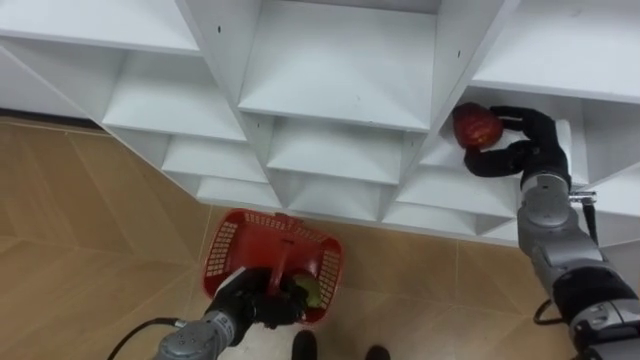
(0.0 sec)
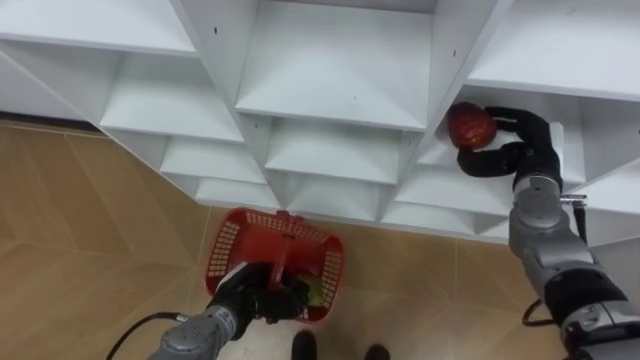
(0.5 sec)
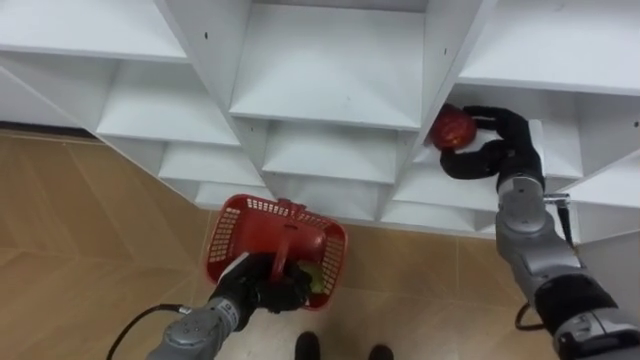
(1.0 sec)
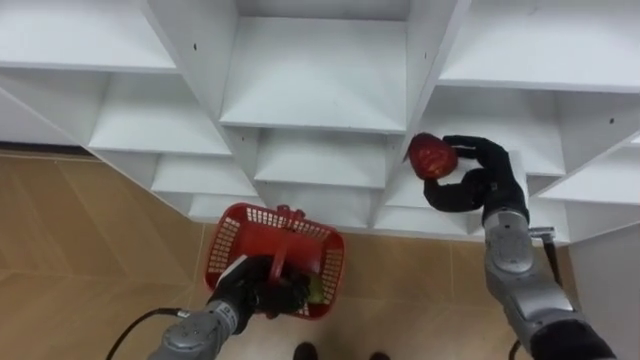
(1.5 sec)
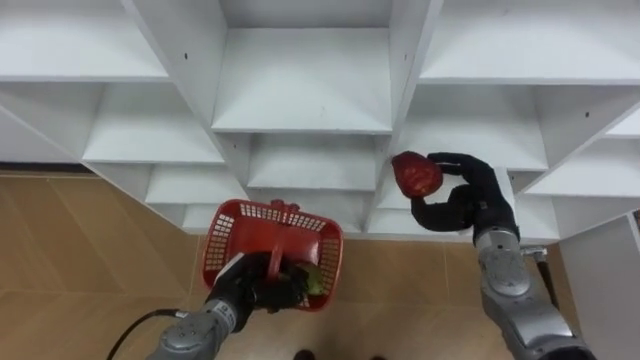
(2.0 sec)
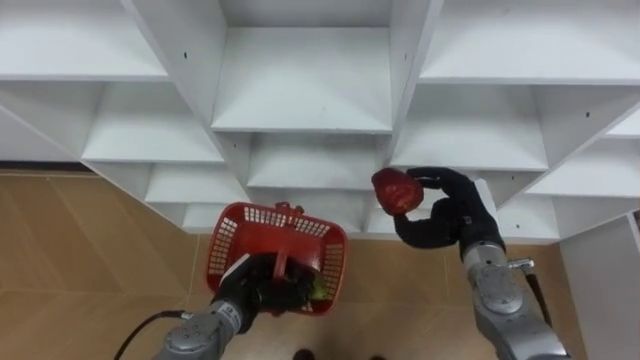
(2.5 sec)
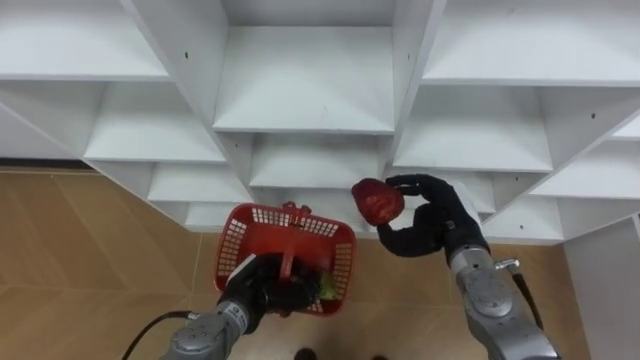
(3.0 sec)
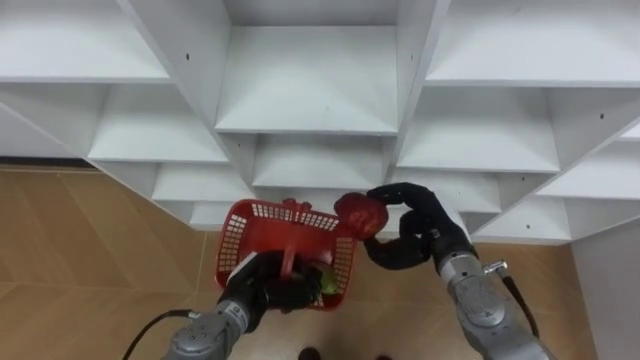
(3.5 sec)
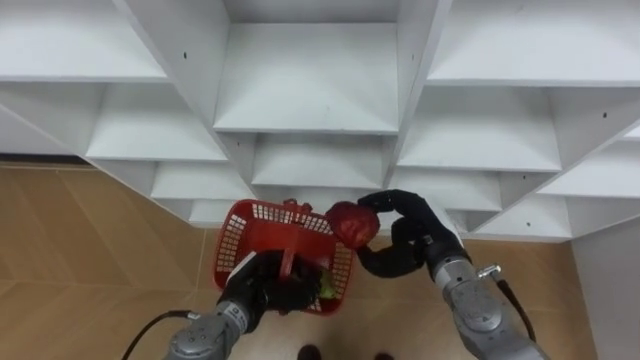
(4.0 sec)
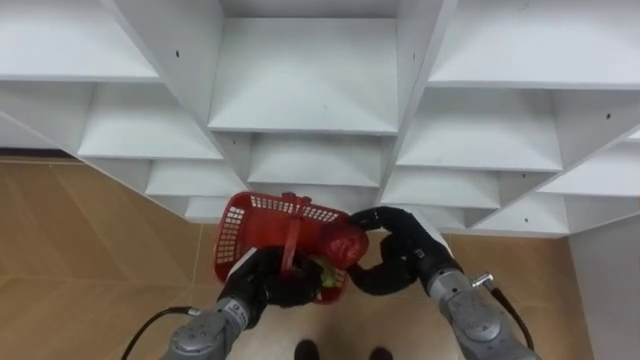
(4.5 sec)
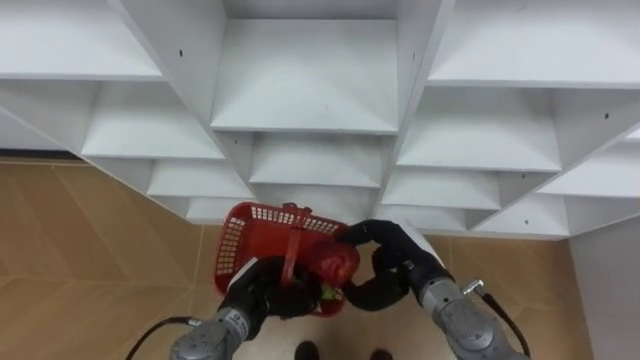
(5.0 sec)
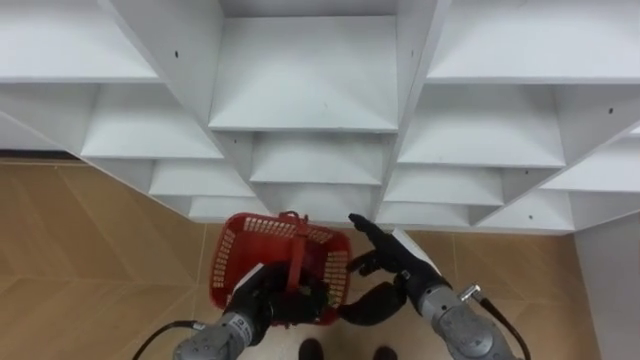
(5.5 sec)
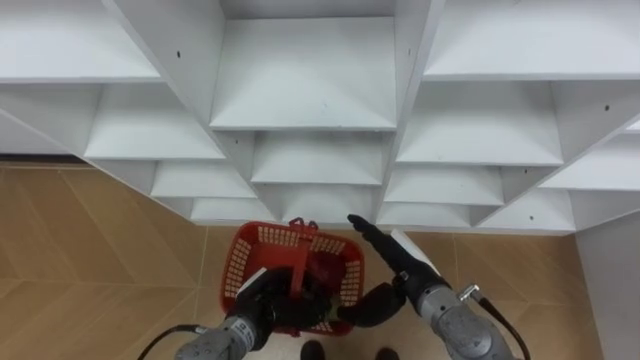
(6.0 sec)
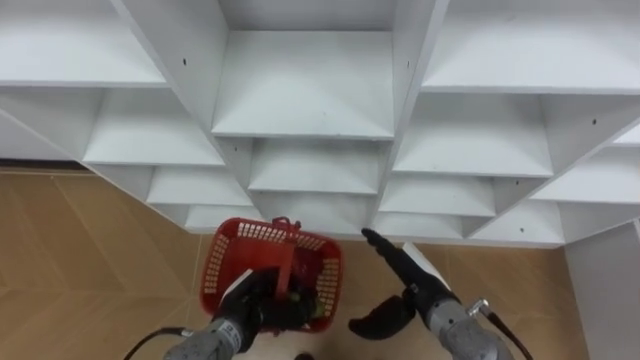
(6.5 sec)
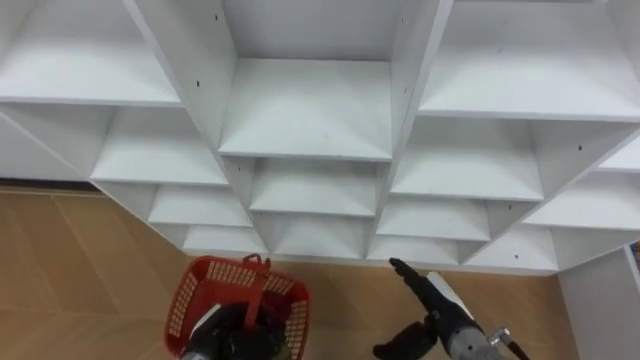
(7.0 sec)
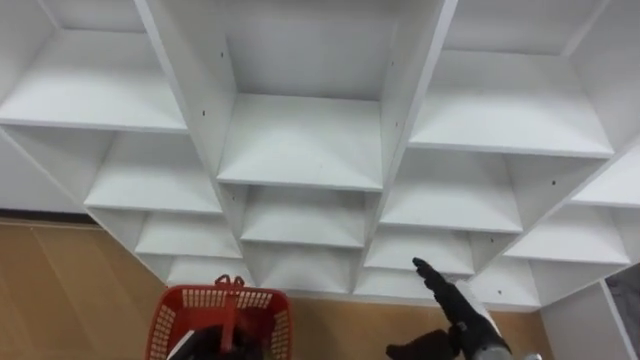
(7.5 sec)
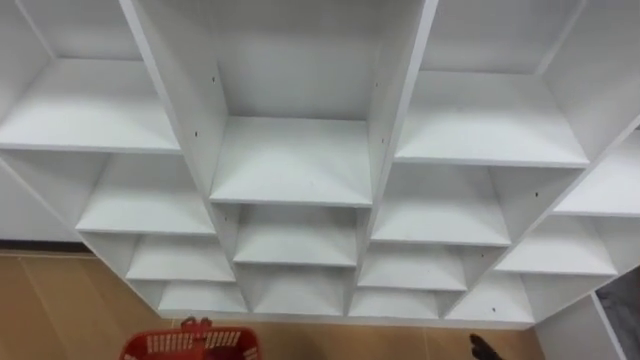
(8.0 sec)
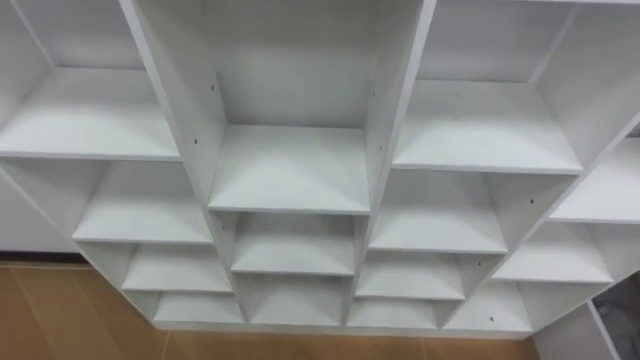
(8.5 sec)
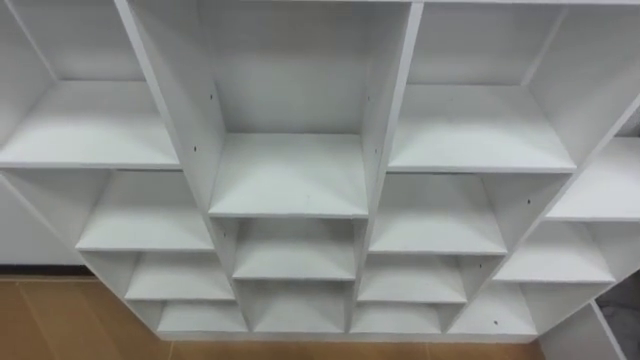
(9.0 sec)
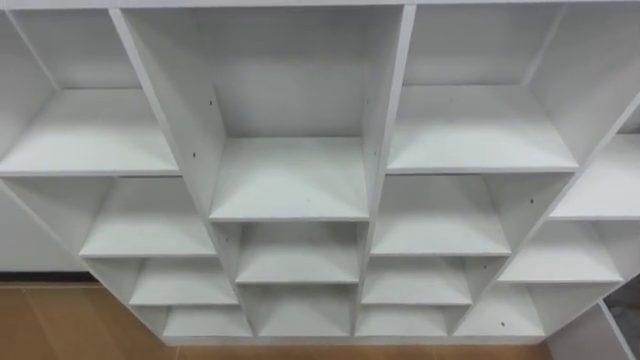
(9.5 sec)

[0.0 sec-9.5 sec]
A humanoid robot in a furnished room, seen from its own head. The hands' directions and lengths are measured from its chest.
Task of the whole recording: Hold the basket and collect the fruits from 3 different cells of the closet into it.
0.0 sec to 2.0 sec: The right hand heads to the left and backward, covering some 10 cm.
2.0 sec to 4.0 sec: The right hand travels to the left by about 5 cm.
4.0 sec to 5.5 sec: The right hand shifts by roughly 5 cm, and opens its fingers.
5.5 sec to 7.5 sec: The right hand heads to the right and backward, covering about 10 cm.
